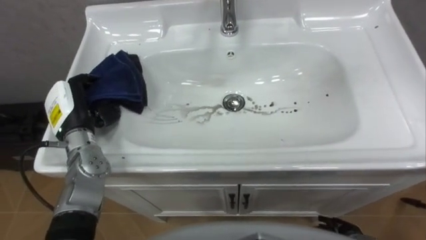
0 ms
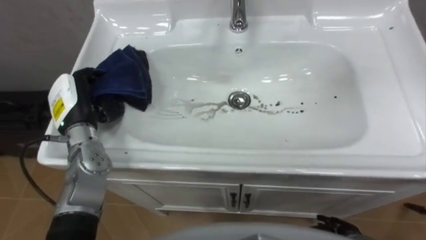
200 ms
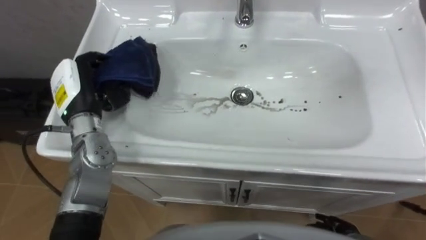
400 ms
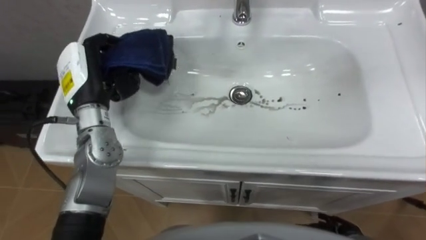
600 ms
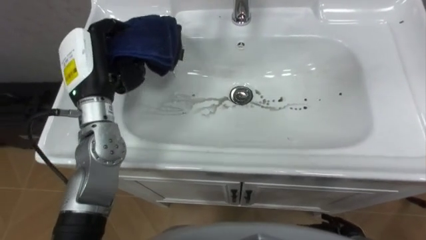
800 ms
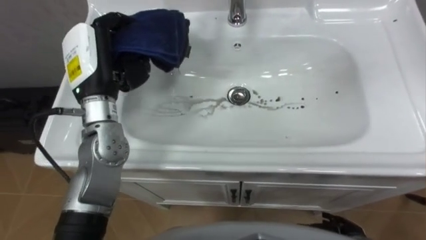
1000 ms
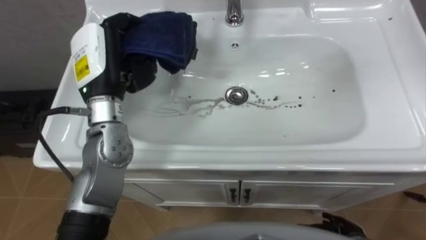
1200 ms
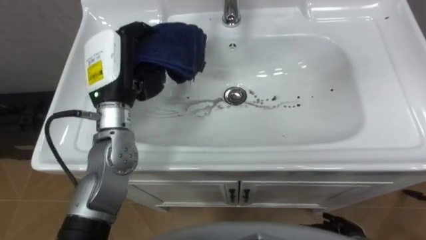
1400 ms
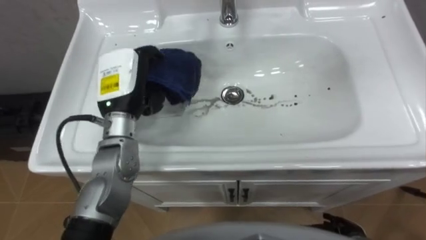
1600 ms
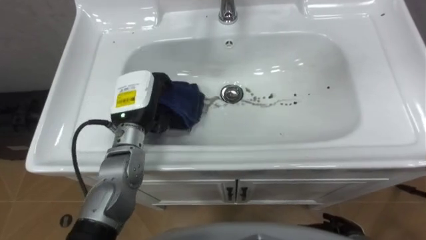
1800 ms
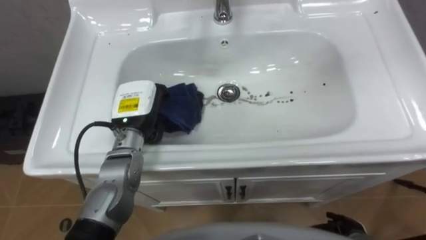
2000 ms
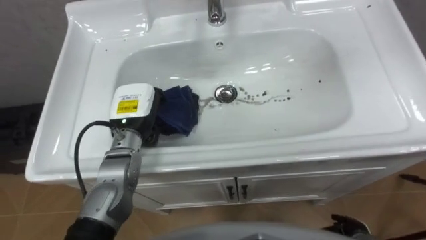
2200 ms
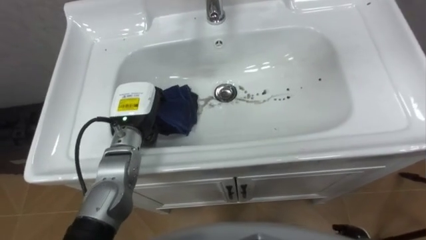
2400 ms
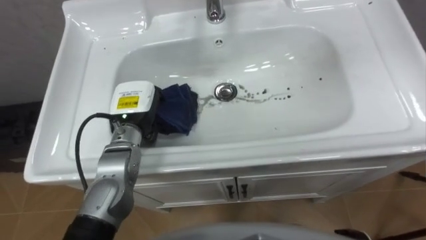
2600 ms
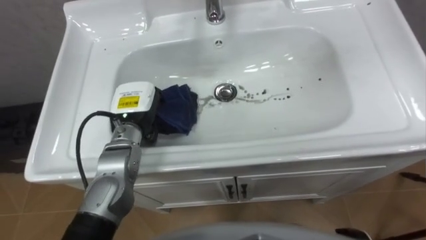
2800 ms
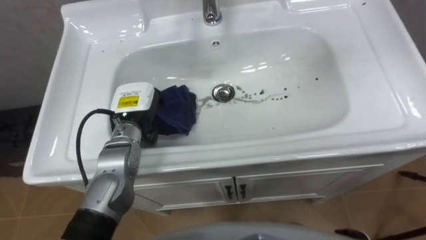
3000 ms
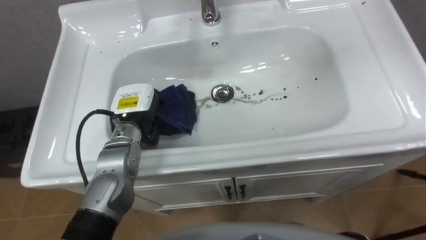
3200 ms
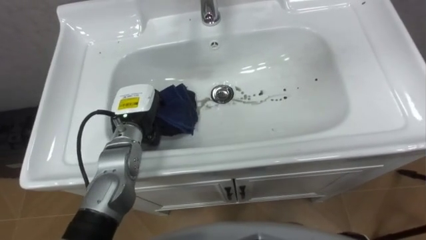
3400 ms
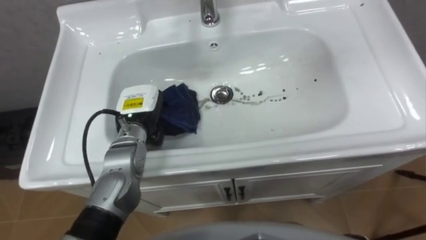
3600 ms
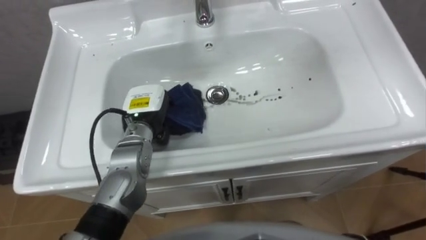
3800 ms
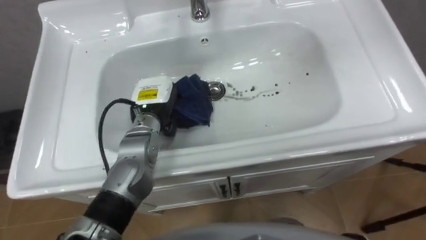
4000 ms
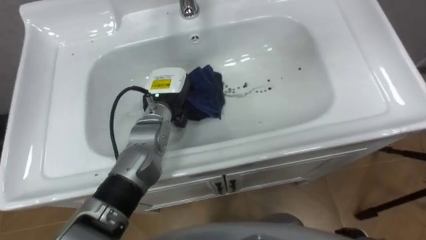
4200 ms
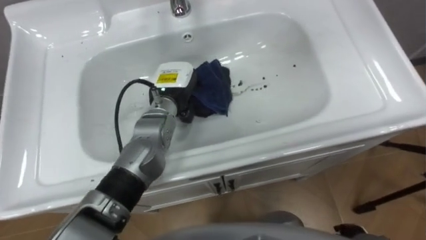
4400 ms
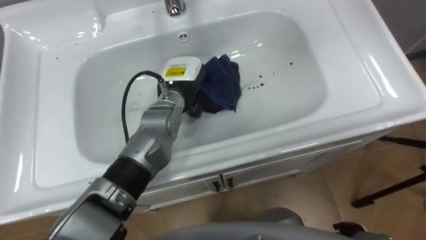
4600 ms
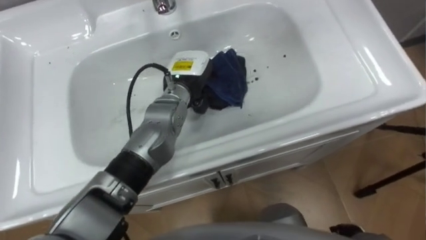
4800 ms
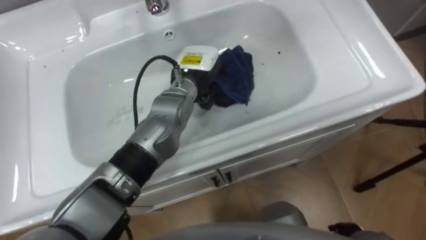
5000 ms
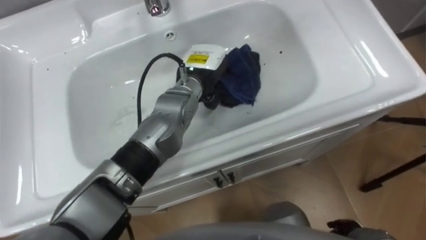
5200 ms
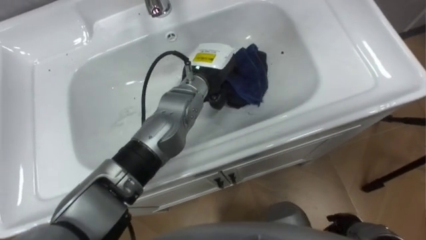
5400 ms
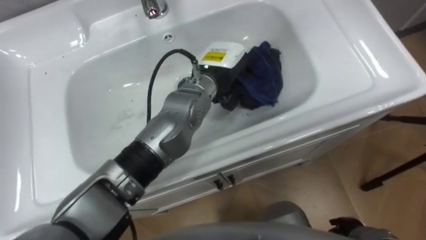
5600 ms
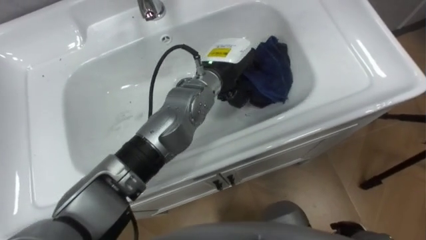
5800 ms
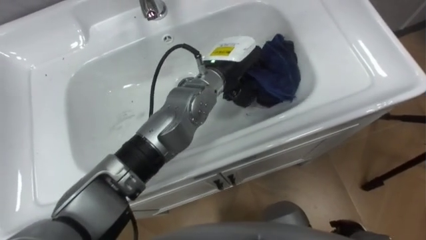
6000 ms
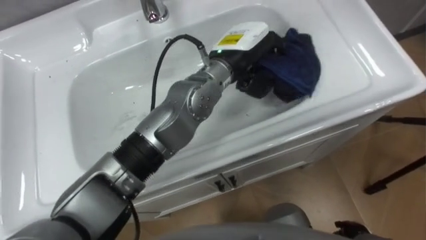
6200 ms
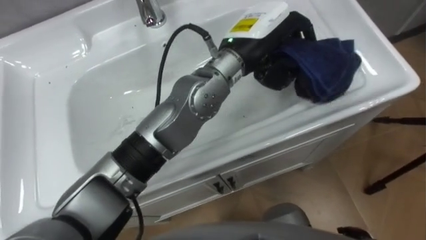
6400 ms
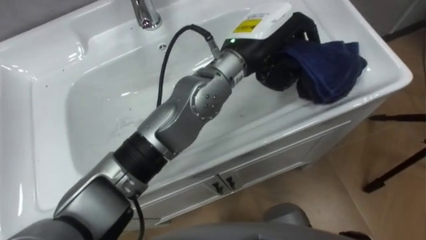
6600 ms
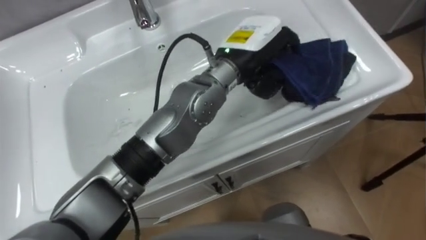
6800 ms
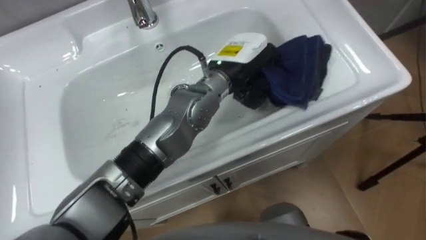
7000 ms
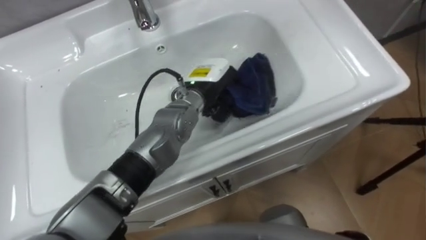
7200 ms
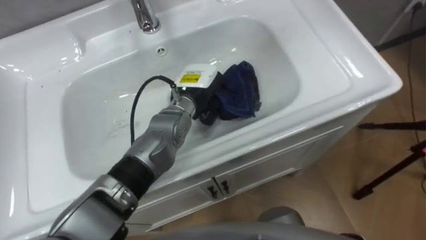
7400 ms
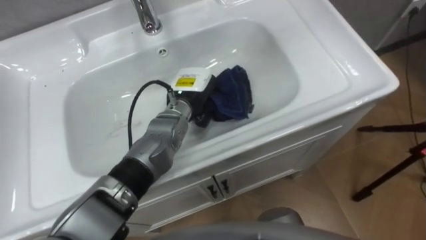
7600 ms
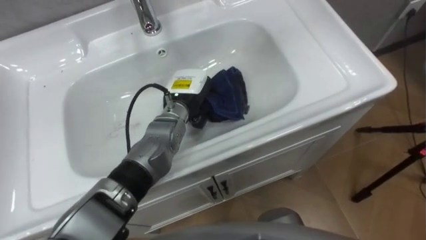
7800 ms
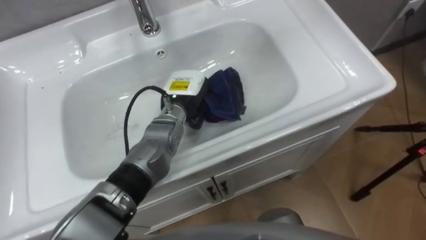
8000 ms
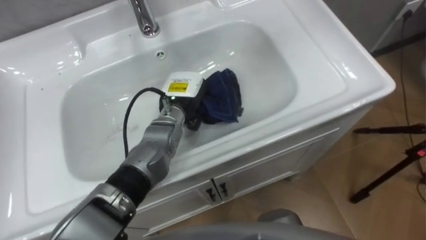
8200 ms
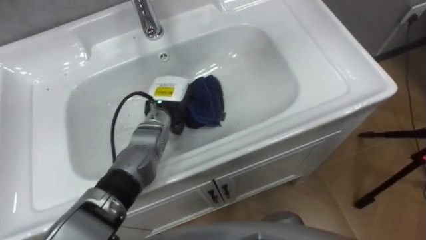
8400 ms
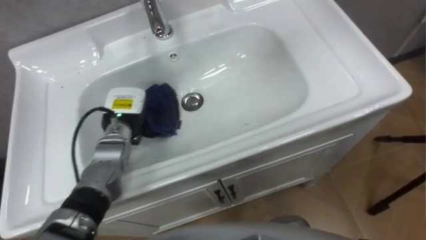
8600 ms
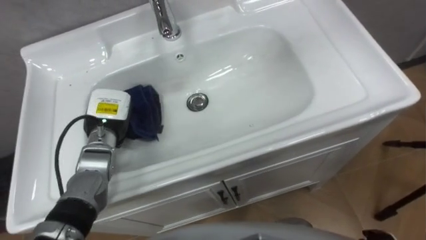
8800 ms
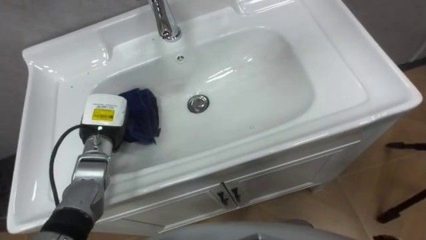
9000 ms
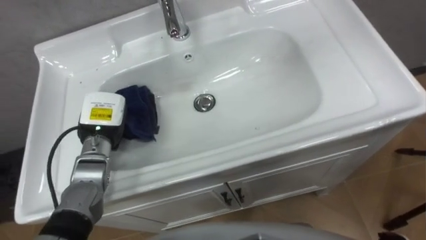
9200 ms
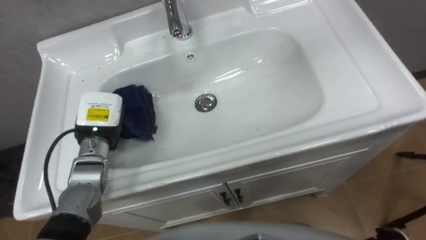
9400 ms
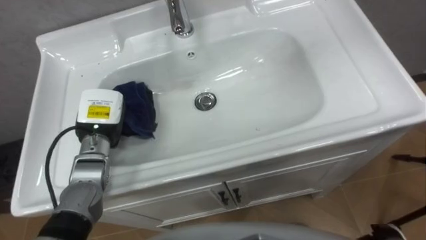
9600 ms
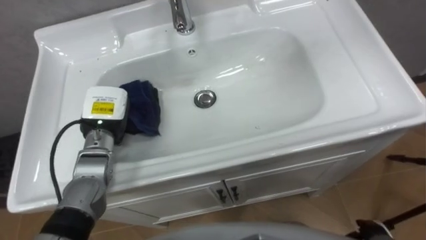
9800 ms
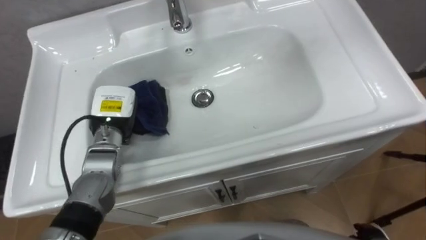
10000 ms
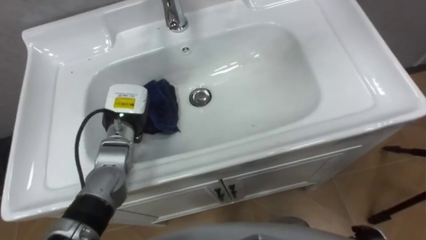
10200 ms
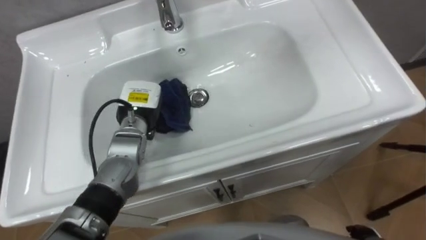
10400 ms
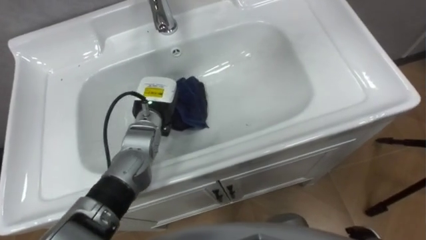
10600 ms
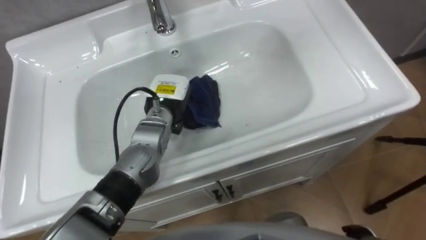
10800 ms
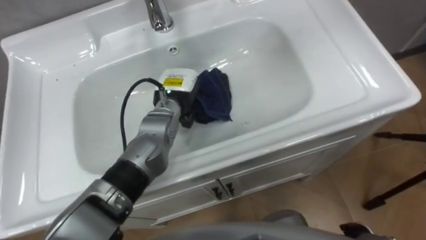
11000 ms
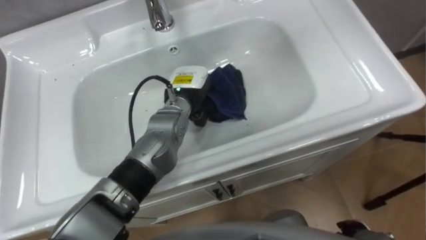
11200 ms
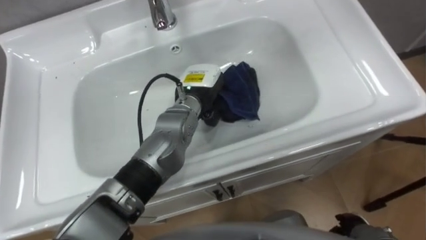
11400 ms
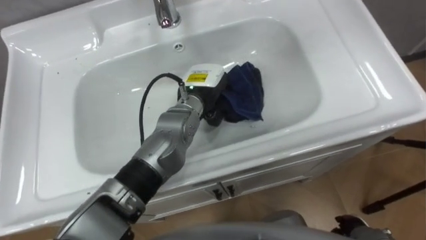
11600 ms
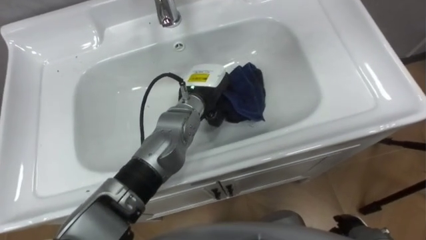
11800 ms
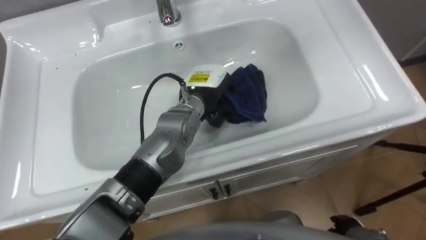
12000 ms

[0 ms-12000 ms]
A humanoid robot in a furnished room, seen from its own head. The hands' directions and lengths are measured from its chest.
Task of the whole recording: Use the cloth on the right to wipe away the black stain in the sink.
0 ms to 1600 ms: The left hand heads to the right and upward, covering approximately 15 cm.
1600 ms to 3000 ms: The left hand heads downward, covering about 10 cm.
3000 ms to 4400 ms: The left hand travels to the right by about 10 cm.
4400 ms to 6000 ms: The left hand goes about 15 cm to the right and upward.
6000 ms to 7600 ms: The left hand shifts about 10 cm downward and to the left.
7600 ms to 9000 ms: The left hand shifts approximately 20 cm to the left.
9000 ms to 10400 ms: The left hand travels to the right by roughly 10 cm.
10400 ms to 12000 ms: The left hand moves to the right, roughly 15 cm.

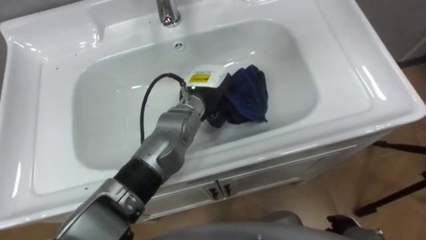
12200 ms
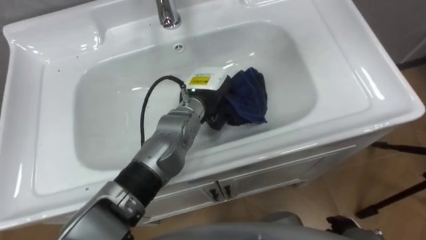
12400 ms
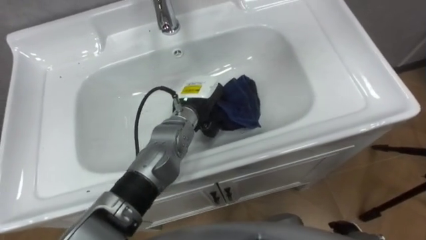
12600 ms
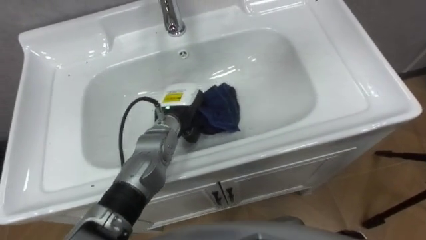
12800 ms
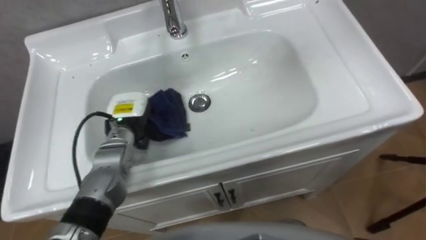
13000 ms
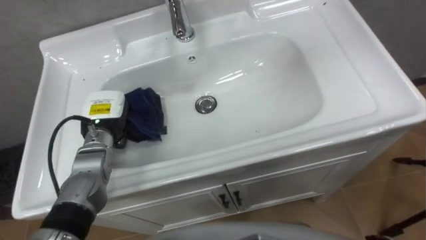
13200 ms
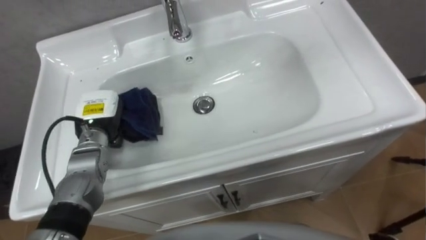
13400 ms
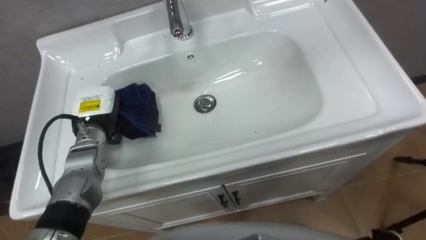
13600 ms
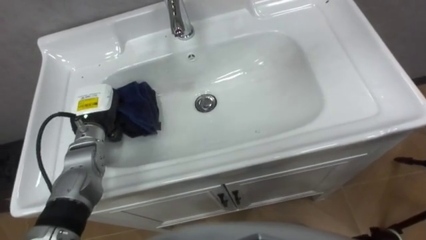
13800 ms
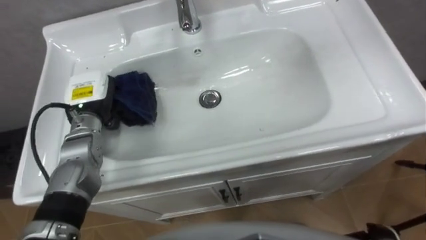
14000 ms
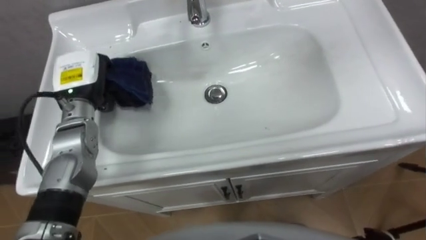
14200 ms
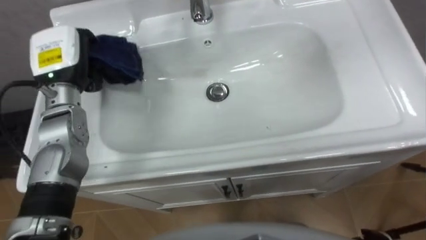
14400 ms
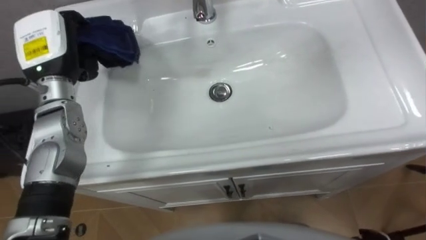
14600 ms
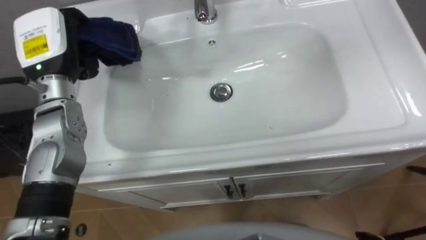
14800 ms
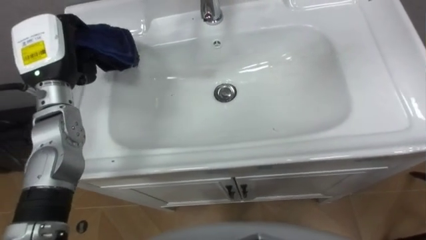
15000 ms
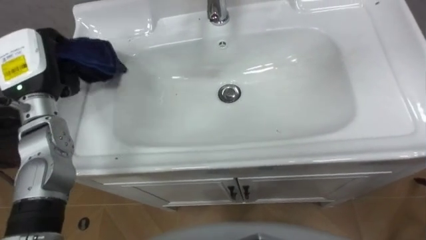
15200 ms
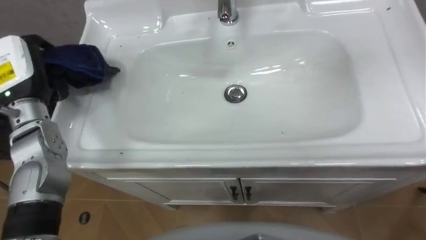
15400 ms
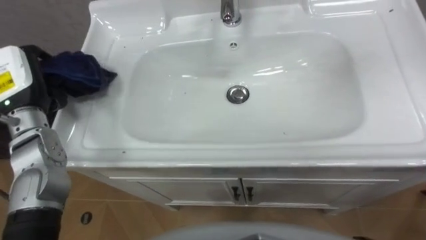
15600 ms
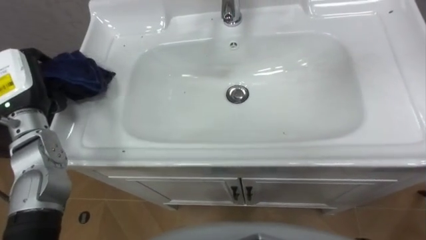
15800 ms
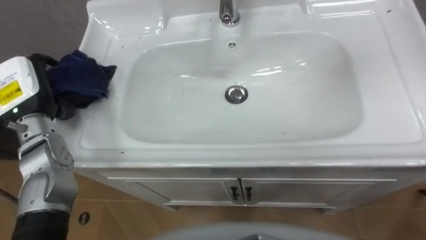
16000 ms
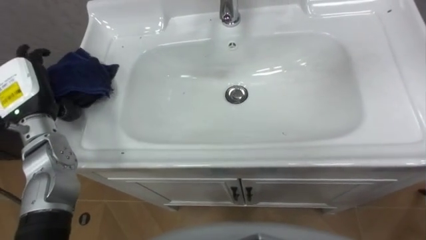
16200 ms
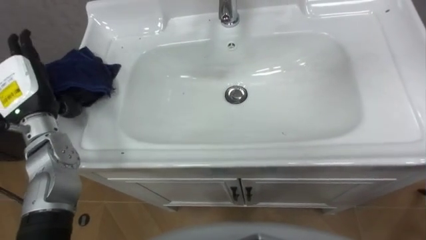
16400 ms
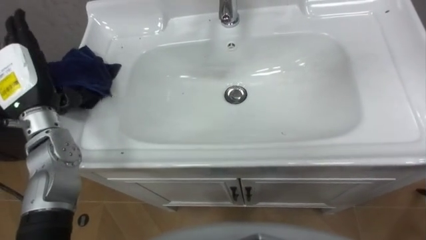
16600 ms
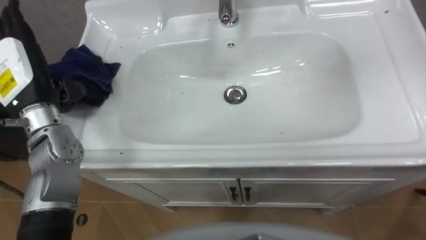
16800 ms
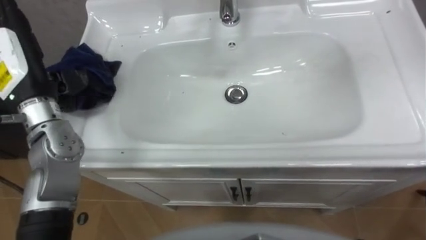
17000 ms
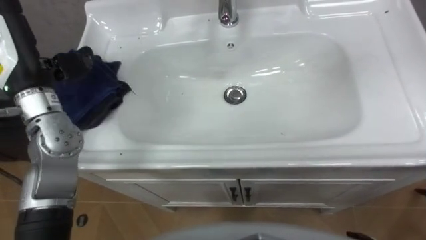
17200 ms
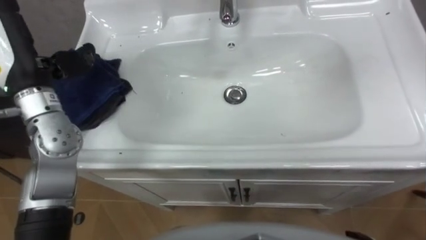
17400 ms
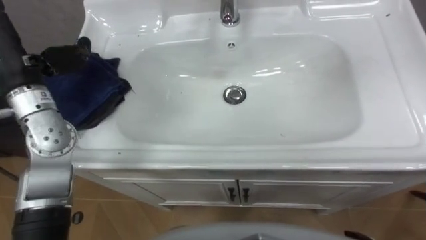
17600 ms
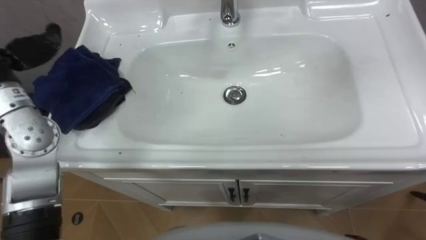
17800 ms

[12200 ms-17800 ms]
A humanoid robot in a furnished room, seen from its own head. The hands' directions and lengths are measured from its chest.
Task of the whole recording: Use the cloth on the right to wipe away the black stain in the sink.
12200 ms to 13600 ms: The left hand heads to the left, covering approximately 25 cm.
13600 ms to 15000 ms: The left hand heads upward, covering some 15 cm.
15000 ms to 16400 ms: The left hand ends up about 10 cm from where it was, and opens its fingers.
